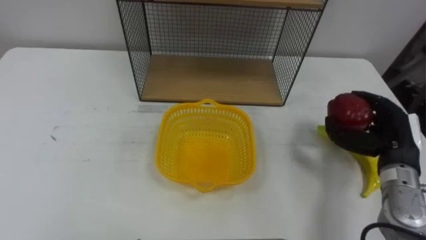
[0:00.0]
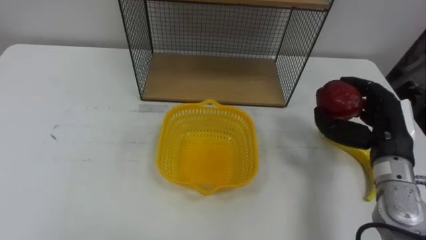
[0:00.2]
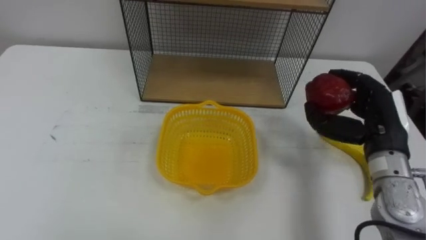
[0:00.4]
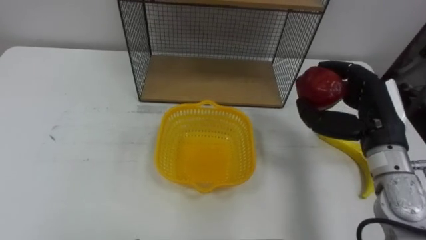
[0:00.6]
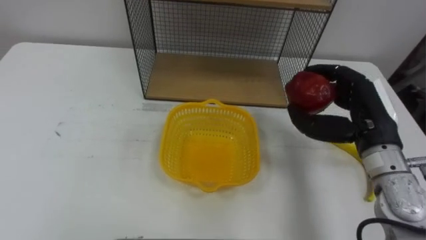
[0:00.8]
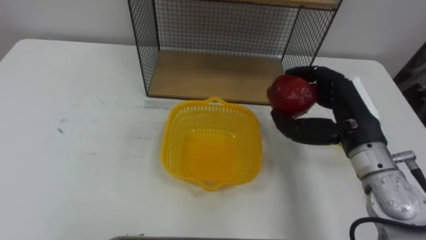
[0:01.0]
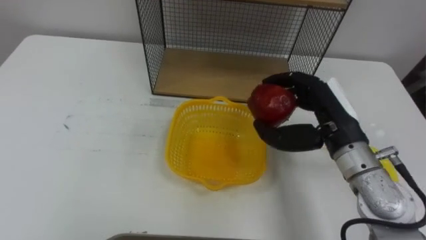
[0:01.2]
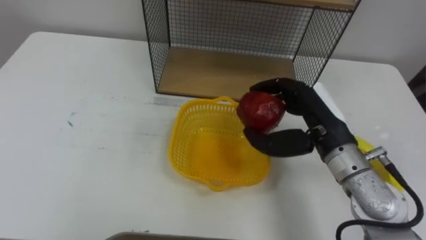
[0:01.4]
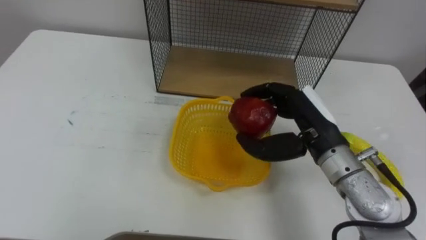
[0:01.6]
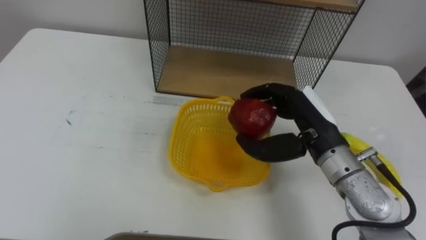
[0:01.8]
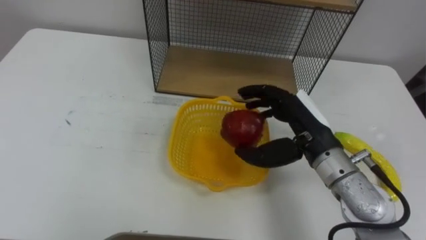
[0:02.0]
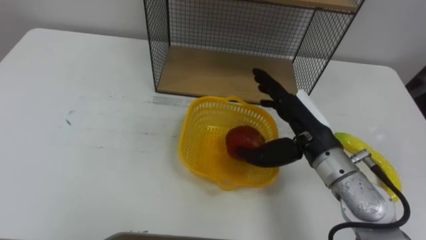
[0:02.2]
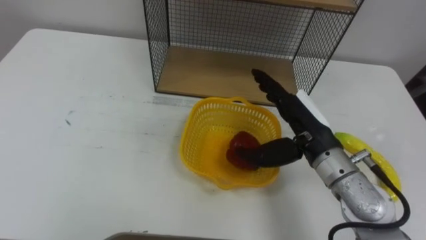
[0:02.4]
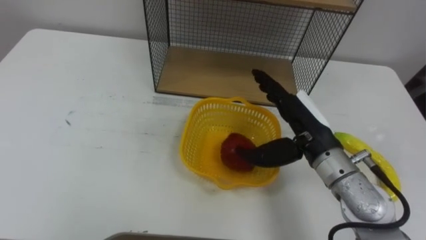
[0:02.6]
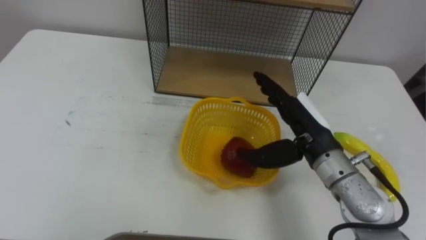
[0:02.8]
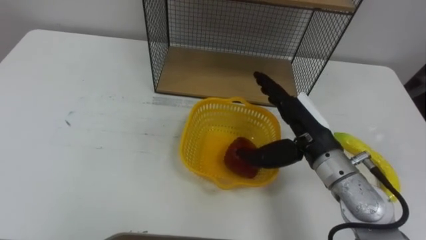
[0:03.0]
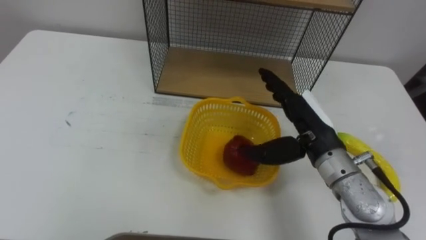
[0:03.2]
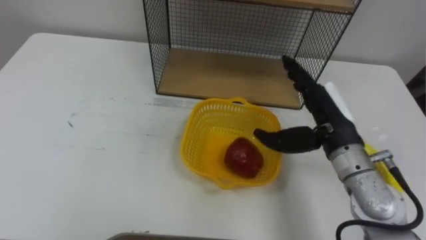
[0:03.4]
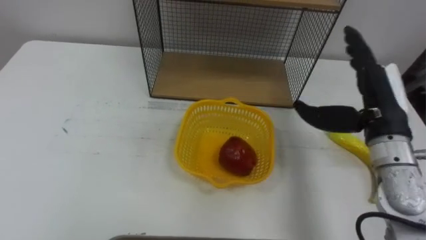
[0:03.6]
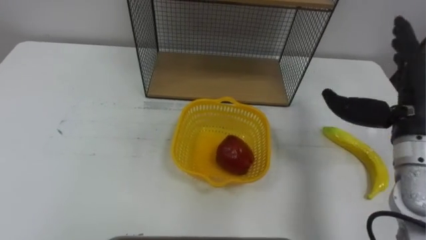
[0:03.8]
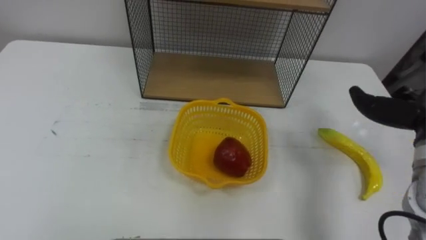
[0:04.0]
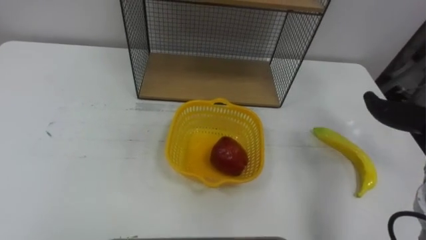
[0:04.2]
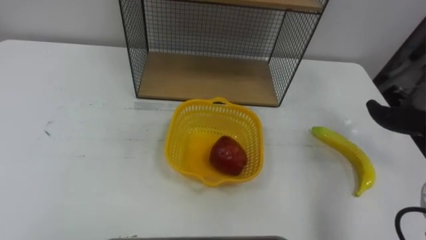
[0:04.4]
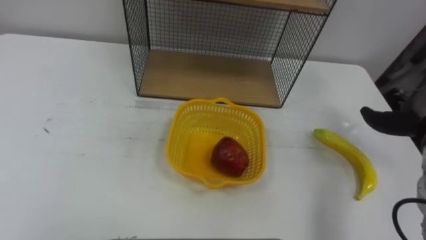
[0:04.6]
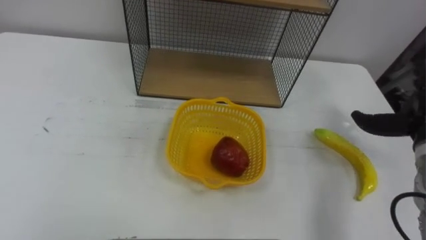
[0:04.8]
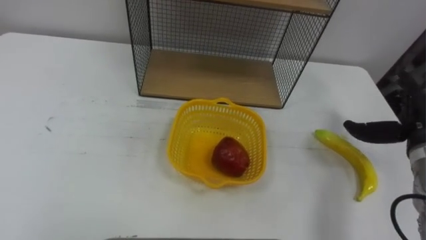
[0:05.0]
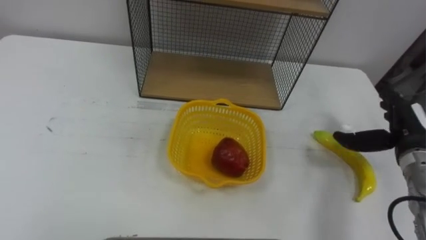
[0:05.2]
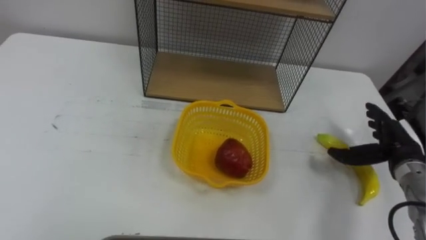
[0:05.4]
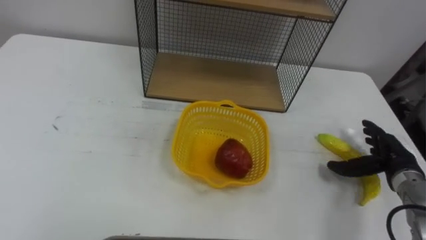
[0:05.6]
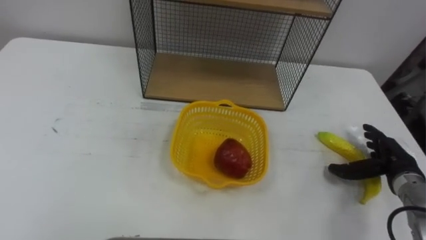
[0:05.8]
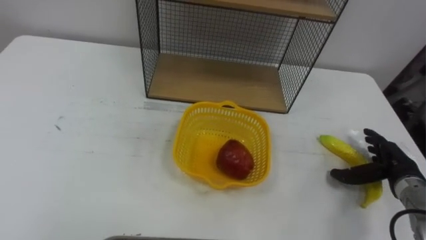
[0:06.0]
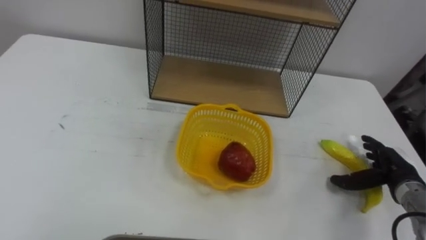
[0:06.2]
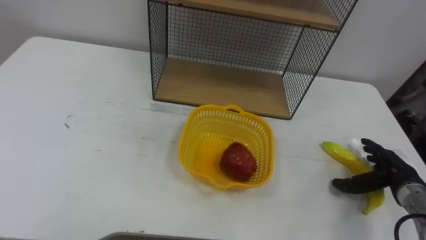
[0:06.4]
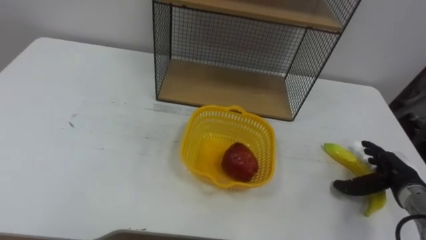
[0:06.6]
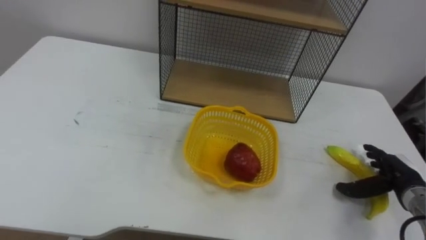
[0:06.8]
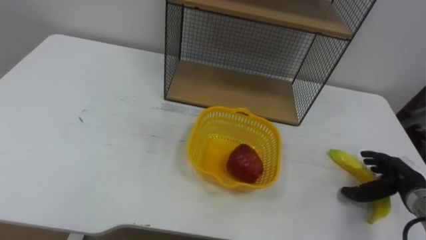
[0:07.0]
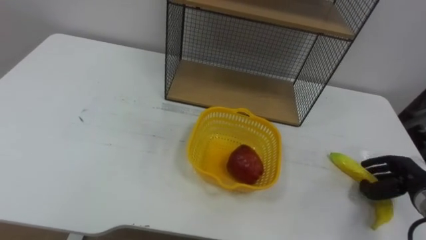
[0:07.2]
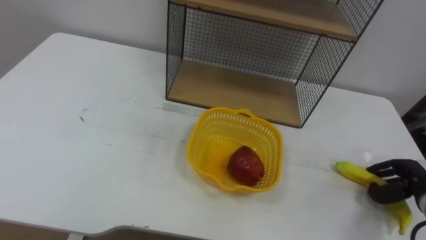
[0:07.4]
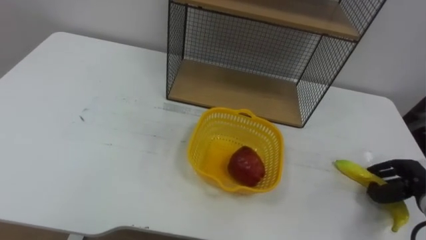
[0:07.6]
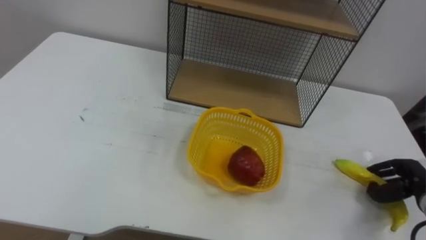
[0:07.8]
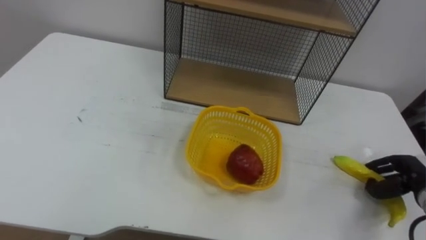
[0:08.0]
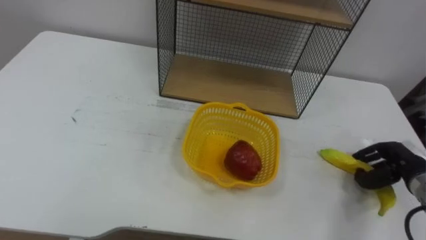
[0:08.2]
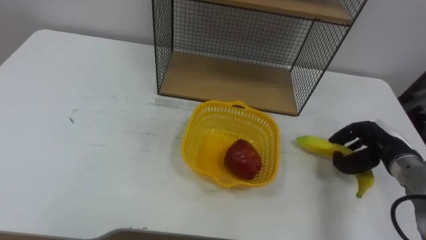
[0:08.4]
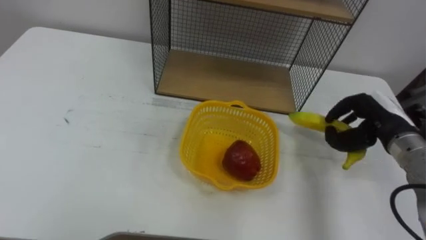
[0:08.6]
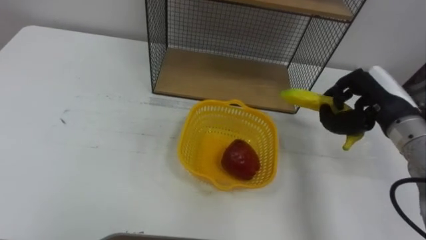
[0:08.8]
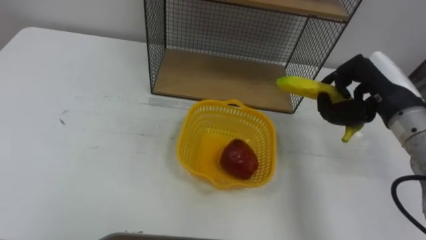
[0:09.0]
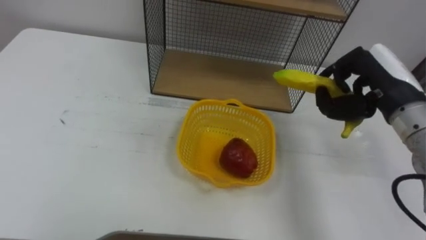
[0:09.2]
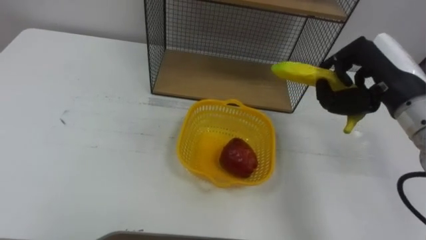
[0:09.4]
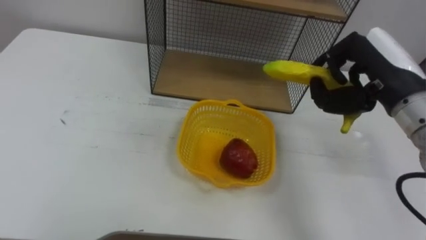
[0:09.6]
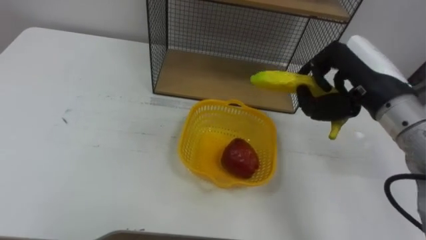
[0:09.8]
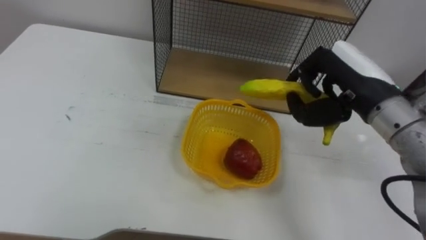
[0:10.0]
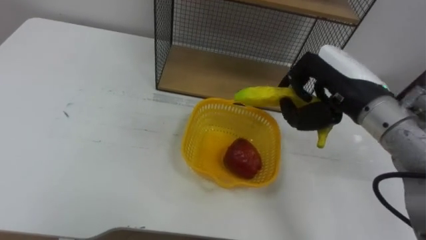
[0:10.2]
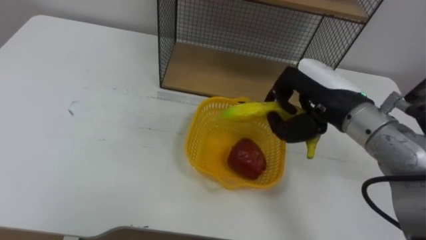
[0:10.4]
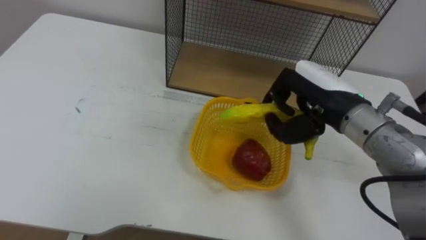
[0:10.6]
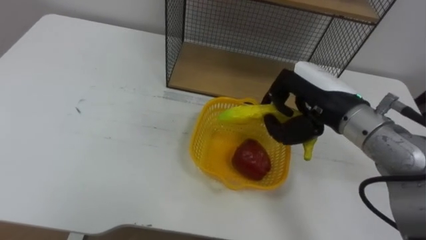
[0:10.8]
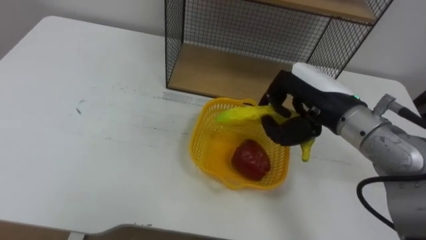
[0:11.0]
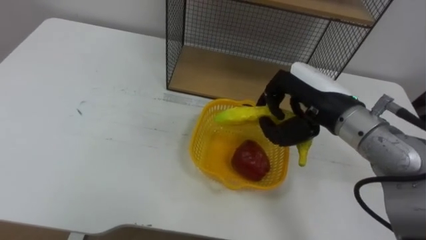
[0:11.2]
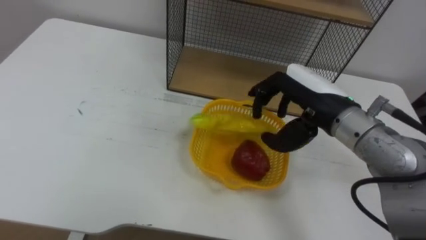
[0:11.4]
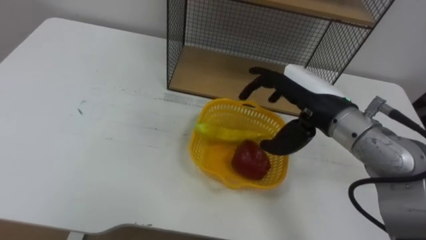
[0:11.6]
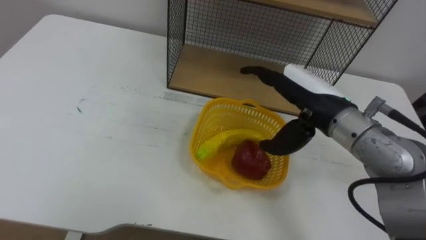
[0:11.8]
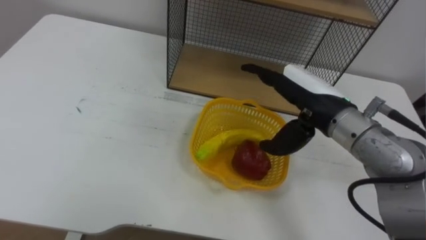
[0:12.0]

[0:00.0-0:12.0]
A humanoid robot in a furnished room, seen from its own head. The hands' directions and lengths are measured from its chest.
Task of the whole recording: Put the fruit on the table into the basket, then place the basket on the shelf.
0:00.0 to 0:01.6: The right hand moves to the left, approximately 15 cm.
0:01.6 to 0:03.0: The right hand opens up.
0:06.0 to 0:07.6: The right hand ends up roughly 5 cm from where it was, and closes.
0:07.6 to 0:09.0: The right hand goes roughly 25 cm upward and to the left.
0:09.0 to 0:10.4: The right hand goes roughly 10 cm to the left.
0:10.4 to 0:12.0: The right hand opens up.

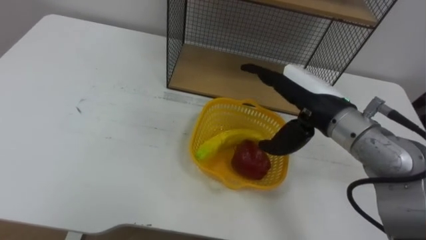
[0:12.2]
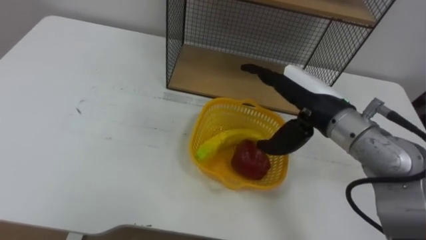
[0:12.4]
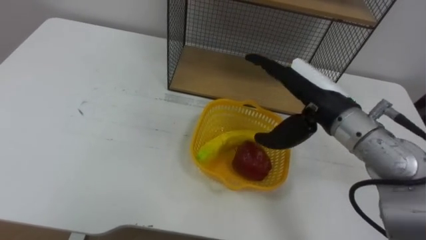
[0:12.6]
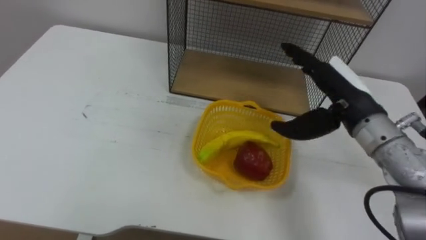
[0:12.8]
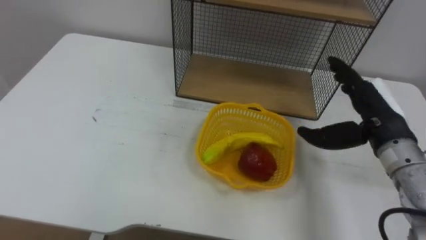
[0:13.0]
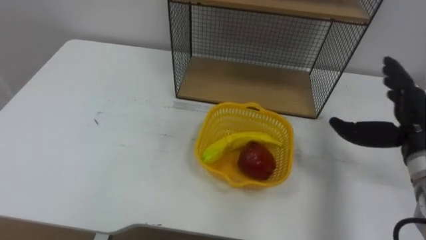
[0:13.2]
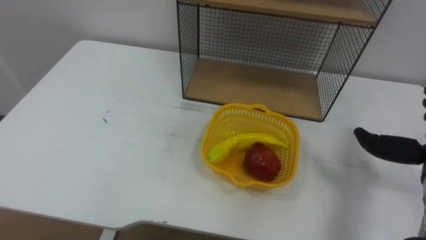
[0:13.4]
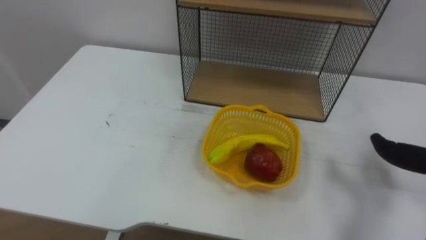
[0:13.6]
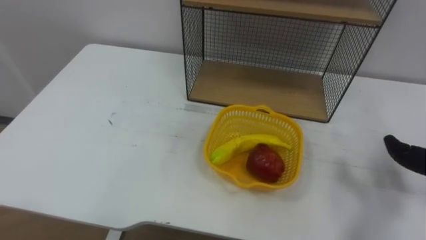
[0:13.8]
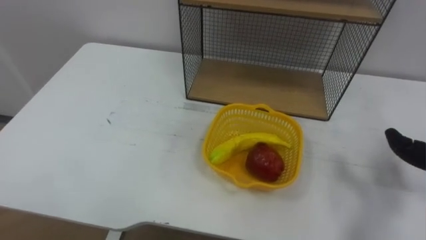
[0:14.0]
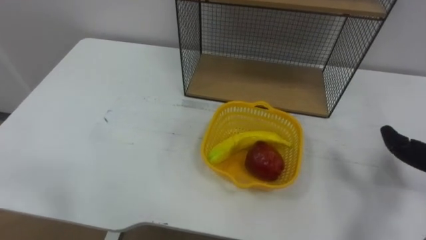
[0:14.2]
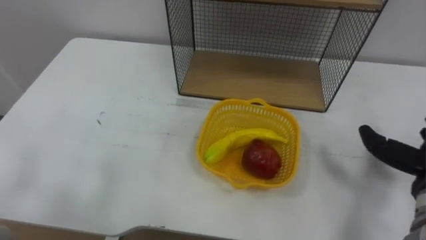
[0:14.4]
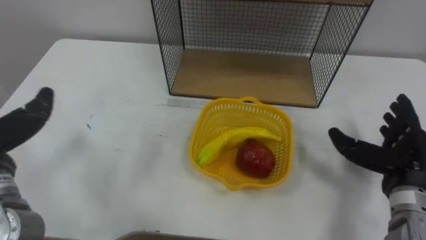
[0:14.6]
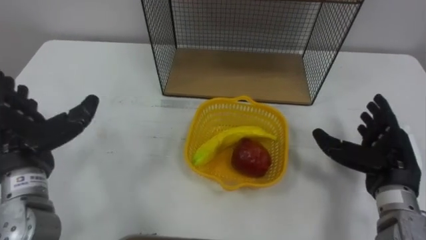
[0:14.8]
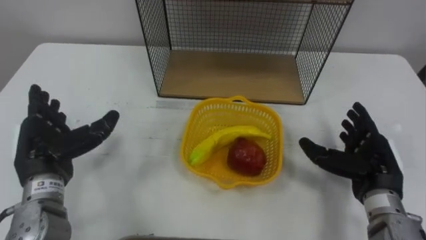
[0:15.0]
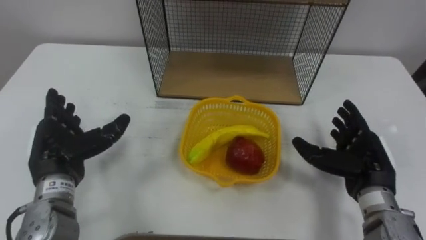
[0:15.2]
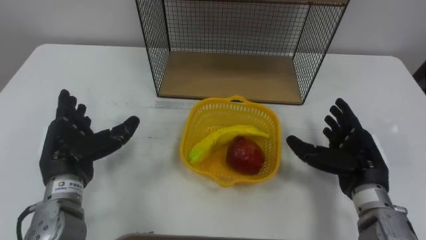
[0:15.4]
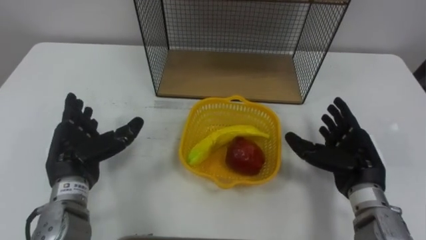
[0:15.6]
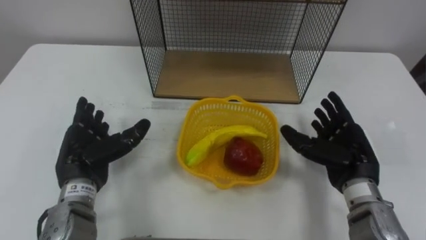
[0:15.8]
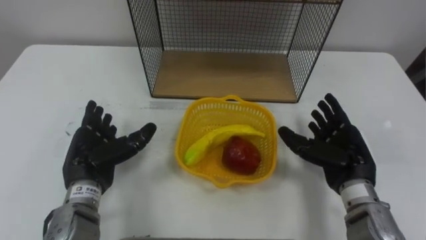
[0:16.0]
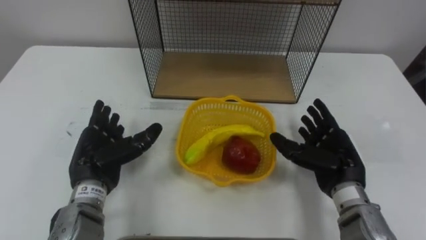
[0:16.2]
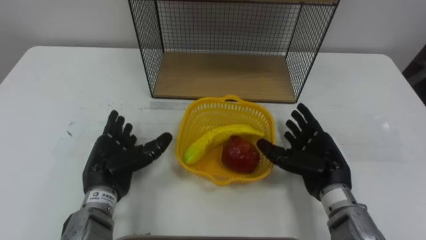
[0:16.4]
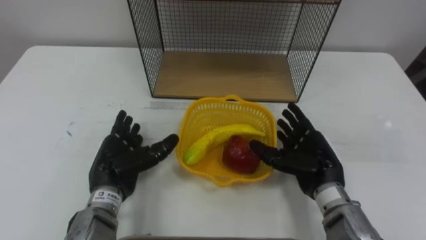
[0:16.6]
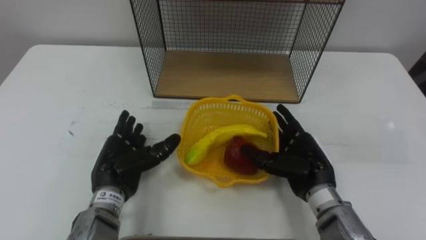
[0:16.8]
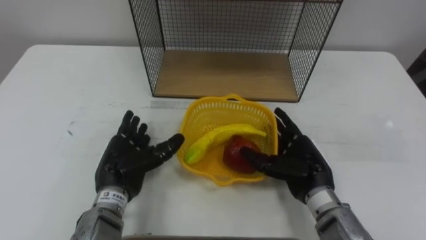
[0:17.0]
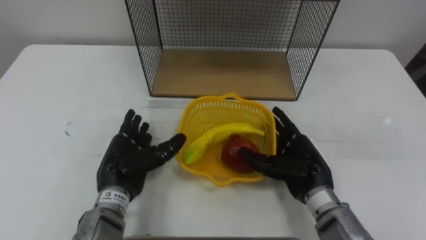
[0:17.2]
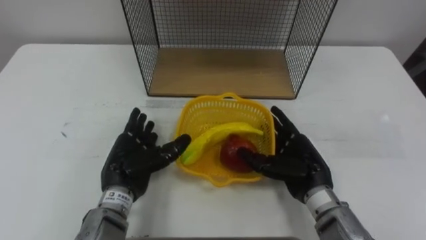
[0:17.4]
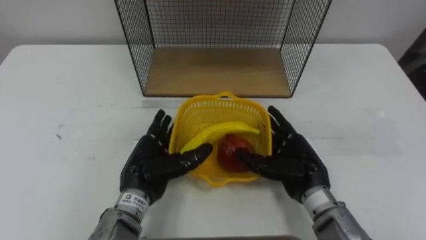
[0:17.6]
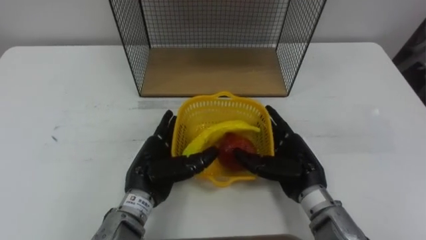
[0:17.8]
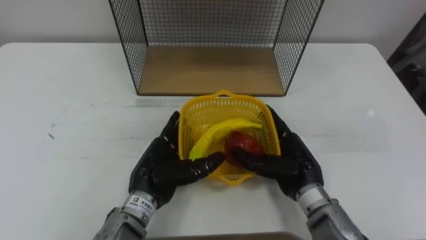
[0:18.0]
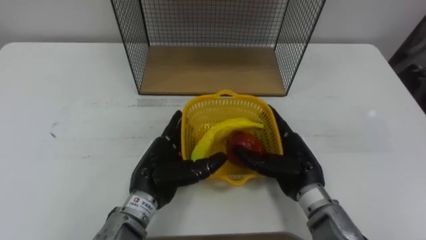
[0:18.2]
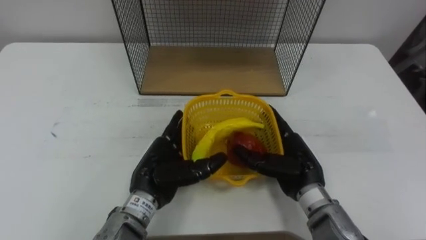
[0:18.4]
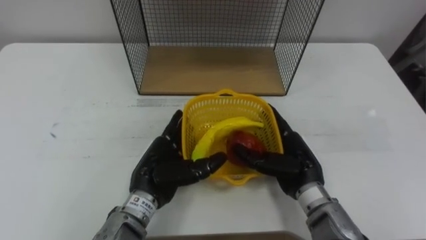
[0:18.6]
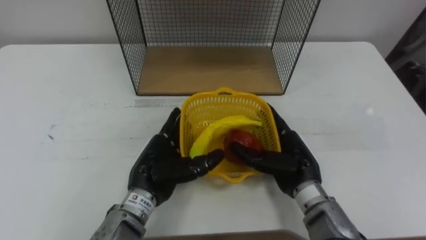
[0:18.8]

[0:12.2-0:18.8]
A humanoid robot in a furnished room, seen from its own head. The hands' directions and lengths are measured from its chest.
Task of the whole recording: Put the fruit on the table into the basket, then place the basket on the shelf.
0:15.4 to 0:17.2: The right hand travels to the left by some 10 cm. Meanwhile the left hand travels to the right by roughly 10 cm.
0:17.2 to 0:18.8: The left hand travels to the right by roughly 5 cm.
